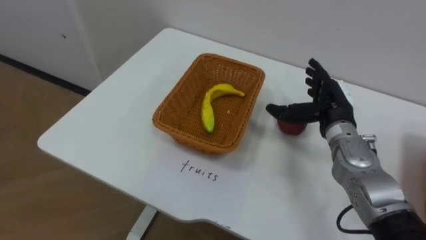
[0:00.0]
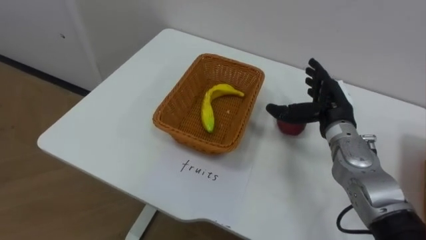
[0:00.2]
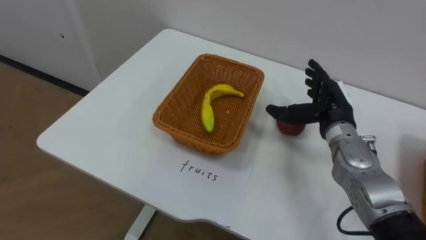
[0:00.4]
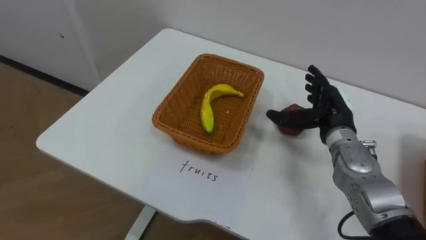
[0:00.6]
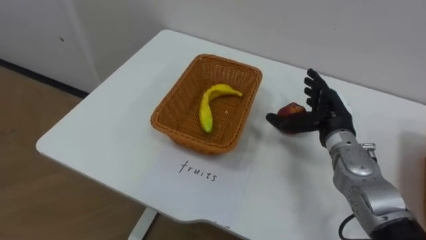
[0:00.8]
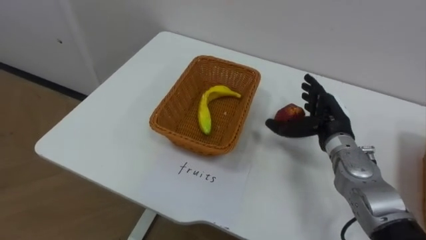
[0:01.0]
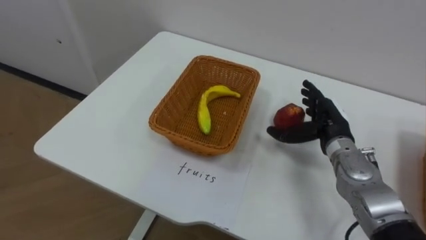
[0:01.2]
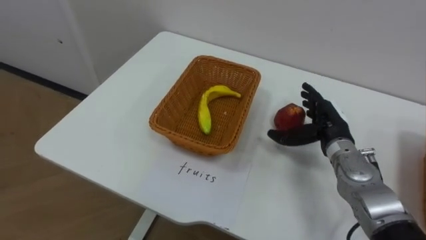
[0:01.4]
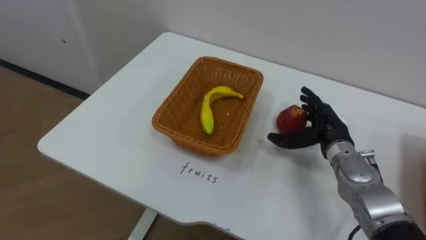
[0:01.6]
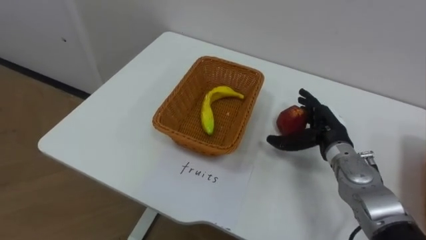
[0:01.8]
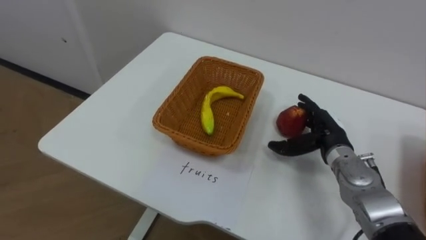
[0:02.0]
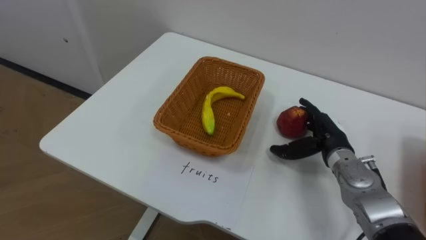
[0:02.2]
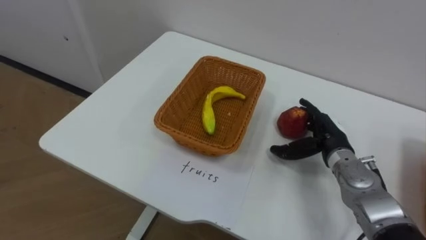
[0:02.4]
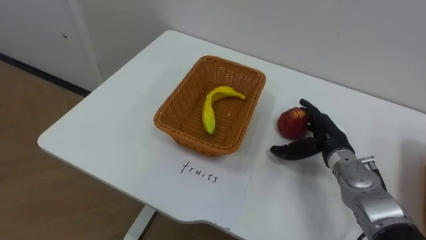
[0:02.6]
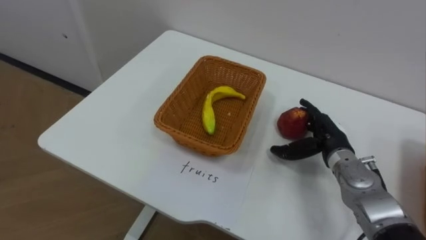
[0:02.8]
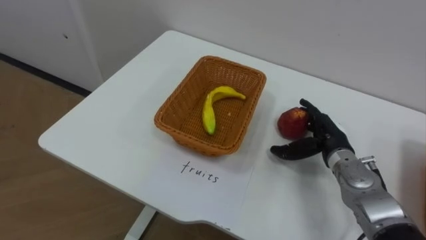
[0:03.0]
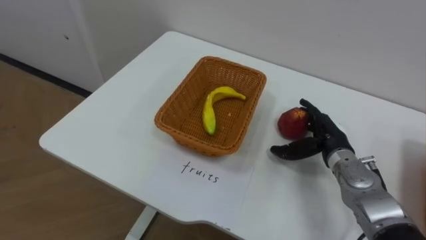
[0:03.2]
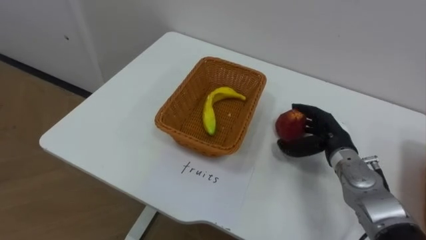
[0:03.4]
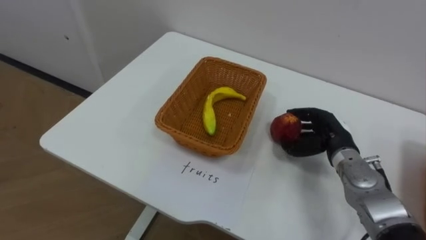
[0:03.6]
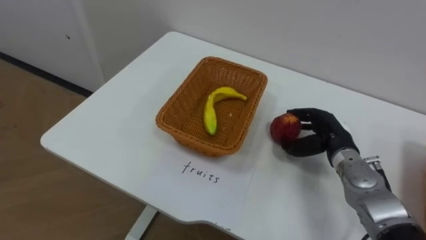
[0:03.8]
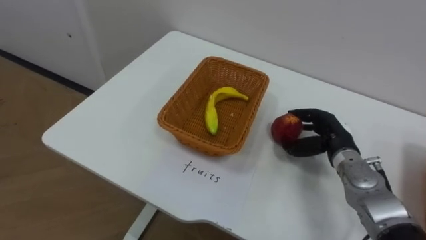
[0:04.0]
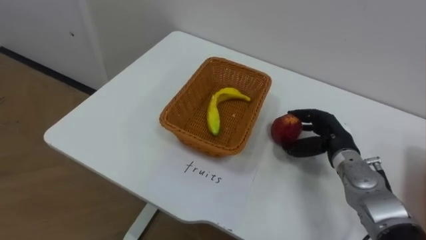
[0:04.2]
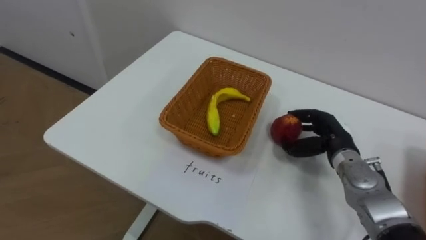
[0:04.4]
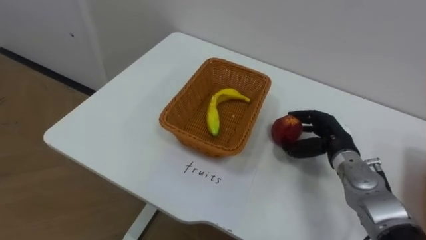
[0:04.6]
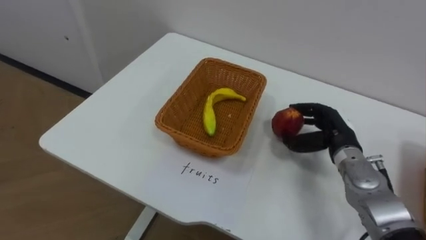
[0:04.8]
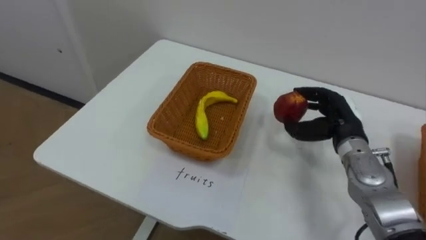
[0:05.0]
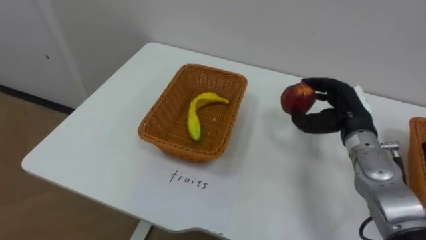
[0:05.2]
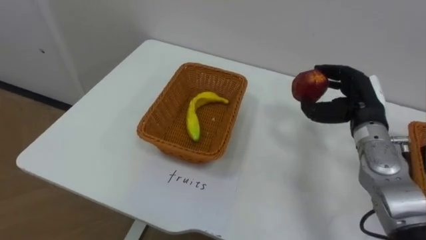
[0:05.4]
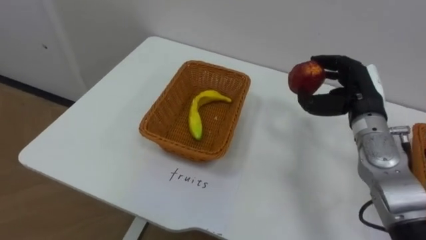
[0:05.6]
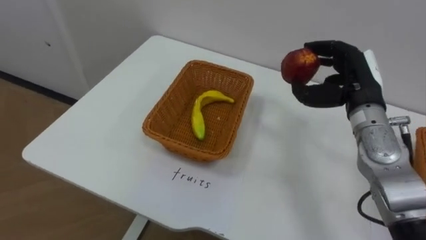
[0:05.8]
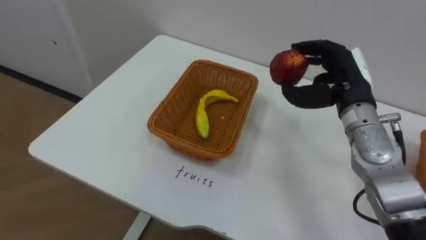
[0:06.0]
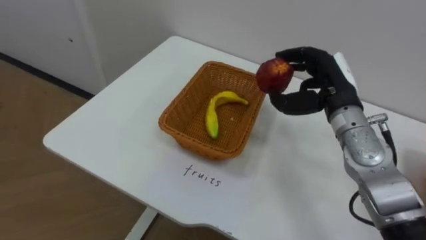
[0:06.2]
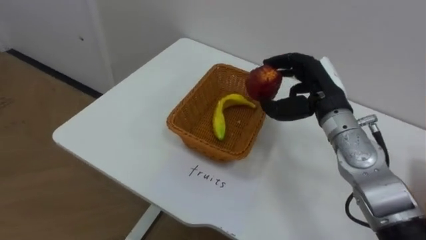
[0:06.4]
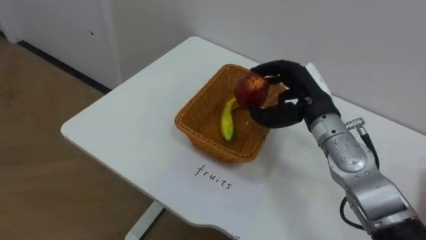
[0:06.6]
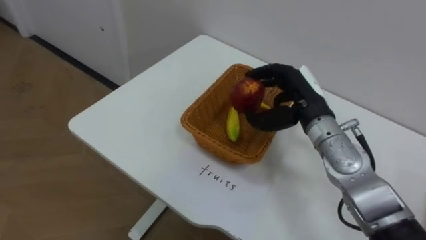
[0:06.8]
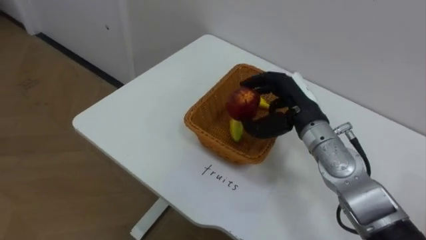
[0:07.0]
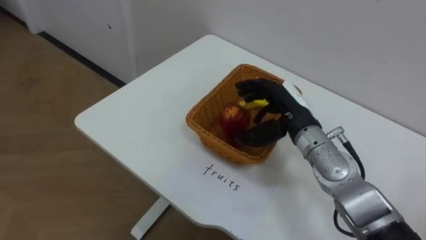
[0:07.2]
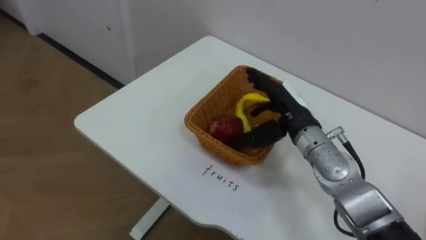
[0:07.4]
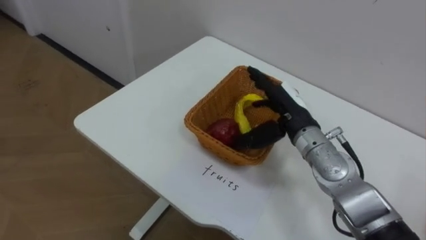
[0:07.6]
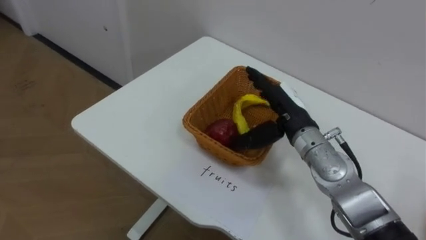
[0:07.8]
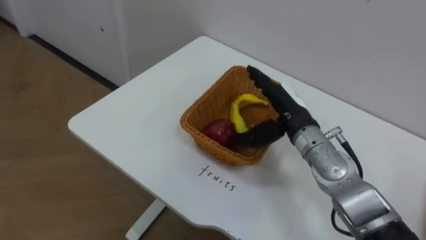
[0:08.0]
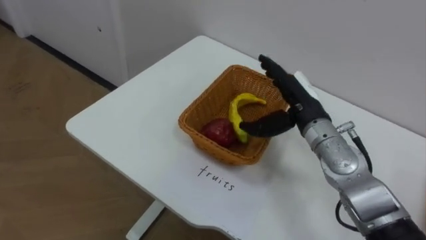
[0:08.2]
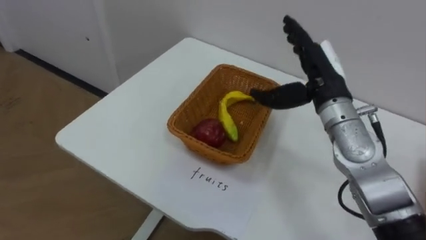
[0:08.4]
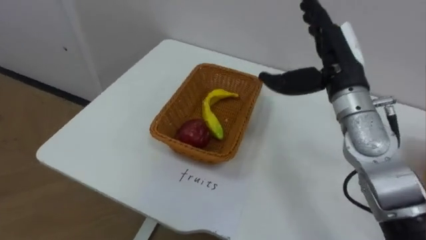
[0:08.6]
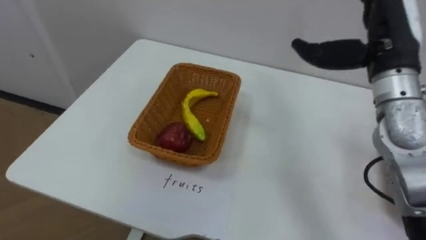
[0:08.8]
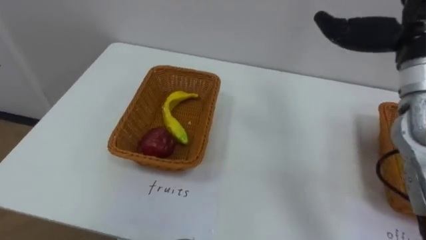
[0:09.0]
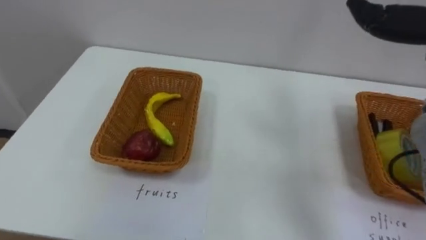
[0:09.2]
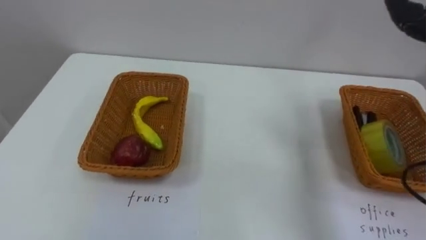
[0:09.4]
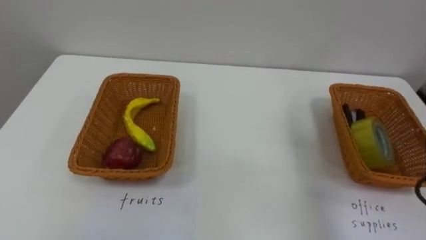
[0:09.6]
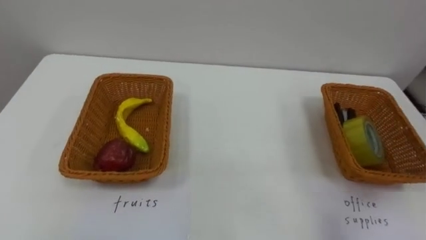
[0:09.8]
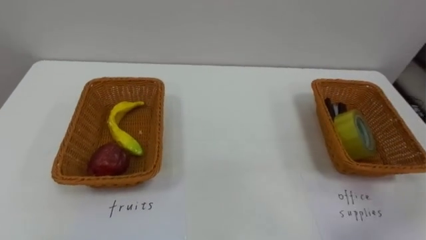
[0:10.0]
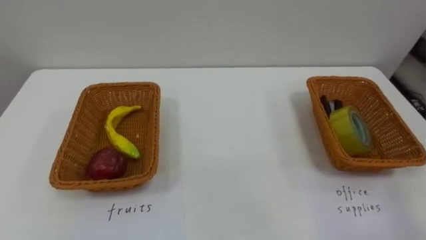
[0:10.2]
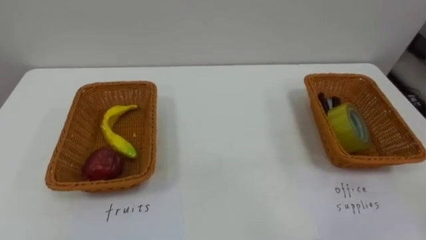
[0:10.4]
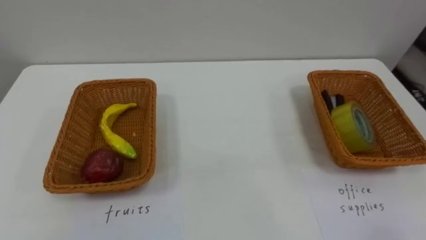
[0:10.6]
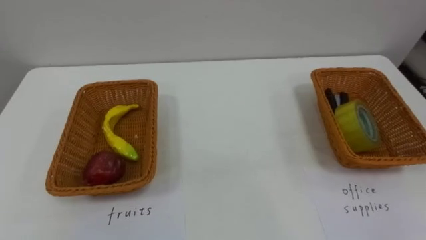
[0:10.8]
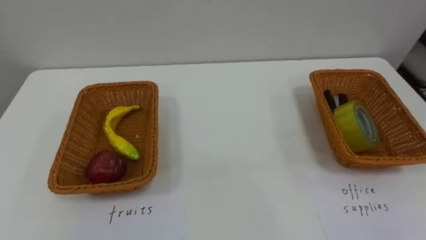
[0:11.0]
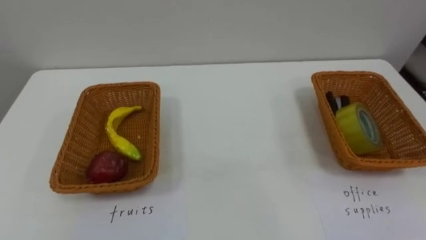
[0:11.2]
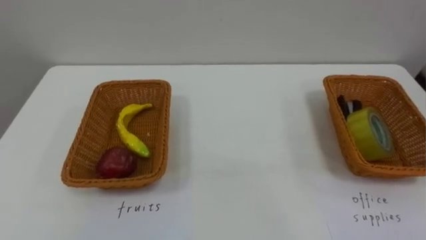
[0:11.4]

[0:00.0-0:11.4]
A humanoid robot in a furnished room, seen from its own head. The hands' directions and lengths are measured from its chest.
Task of the whole recording: Separate the items on the table and place them into the two baskets.
0:02.8 to 0:04.2: The right hand closes its fingers.
0:04.2 to 0:05.6: The right hand is displaced upward by approximately 10 cm.
0:05.6 to 0:07.2: The right hand is displaced to the left by approximately 10 cm.
0:07.2 to 0:08.6: The right hand is displaced upward by some 10 cm, and opens its fingers.

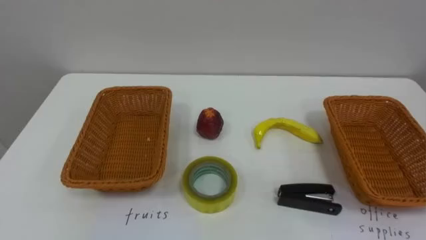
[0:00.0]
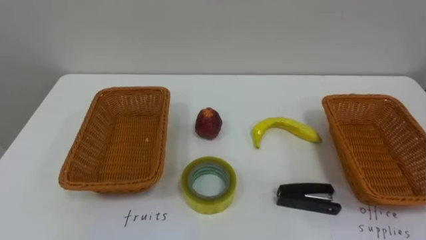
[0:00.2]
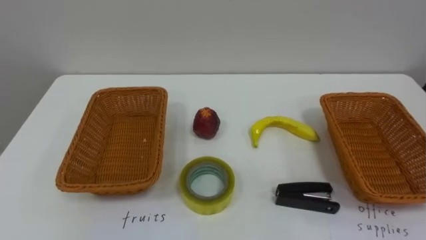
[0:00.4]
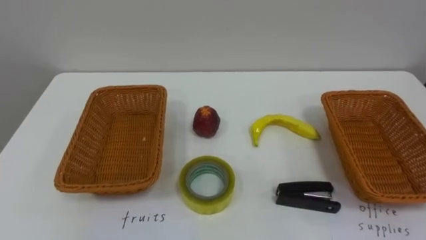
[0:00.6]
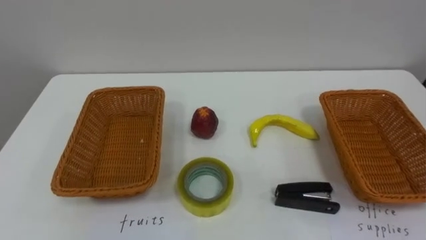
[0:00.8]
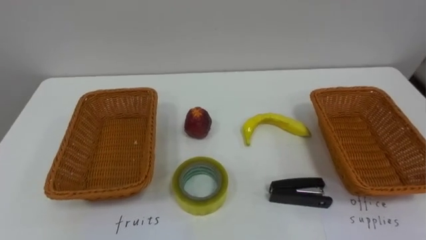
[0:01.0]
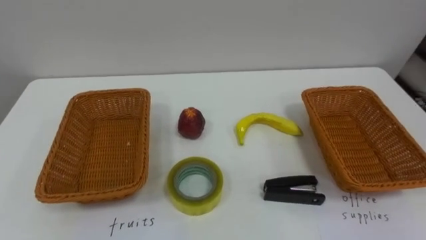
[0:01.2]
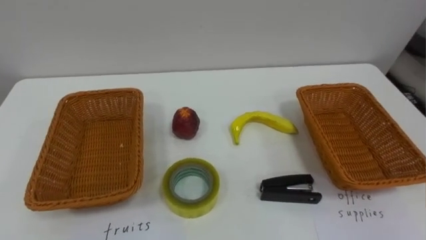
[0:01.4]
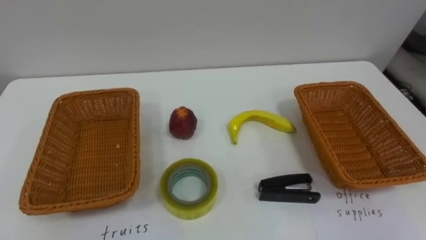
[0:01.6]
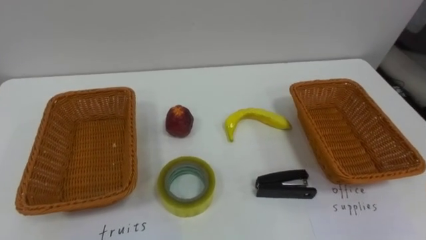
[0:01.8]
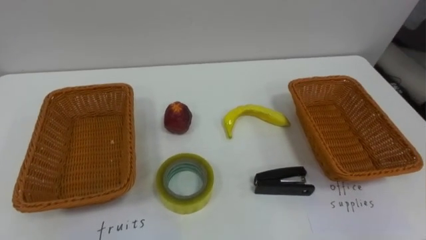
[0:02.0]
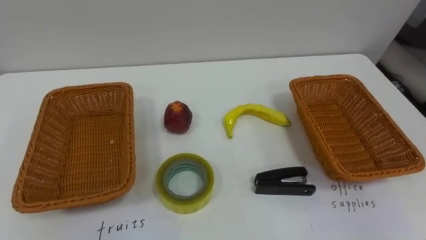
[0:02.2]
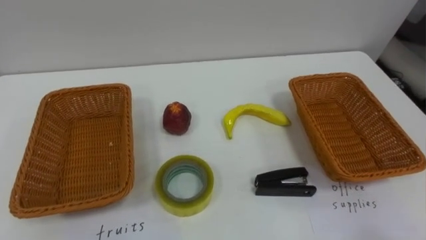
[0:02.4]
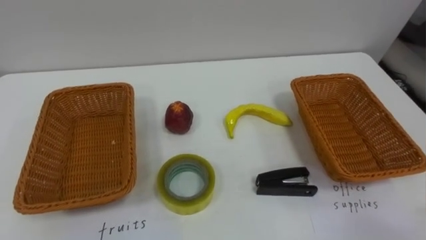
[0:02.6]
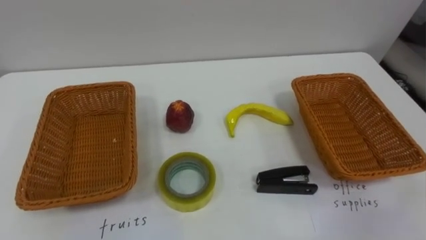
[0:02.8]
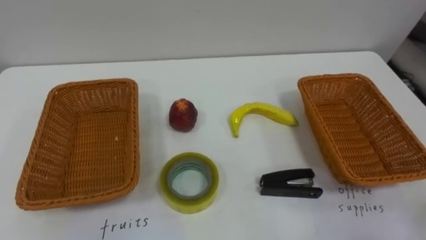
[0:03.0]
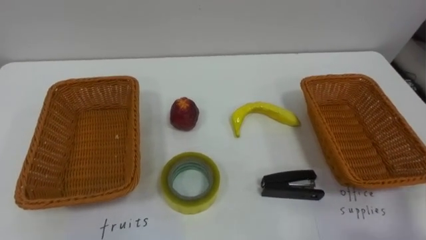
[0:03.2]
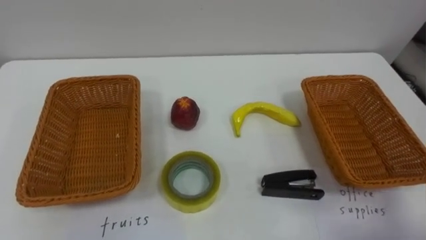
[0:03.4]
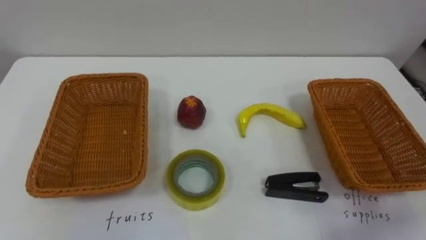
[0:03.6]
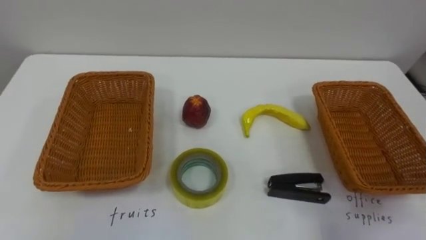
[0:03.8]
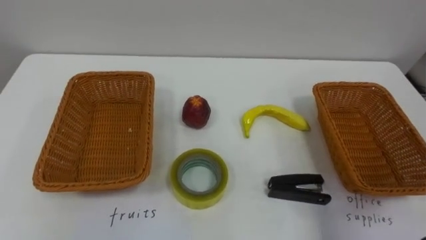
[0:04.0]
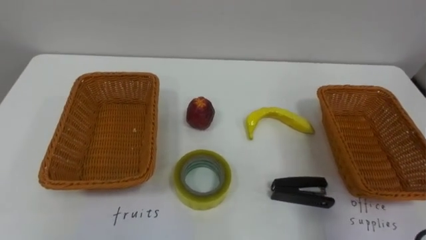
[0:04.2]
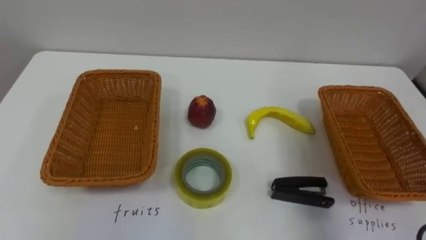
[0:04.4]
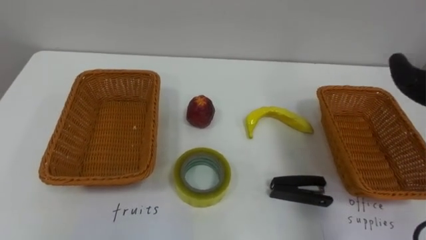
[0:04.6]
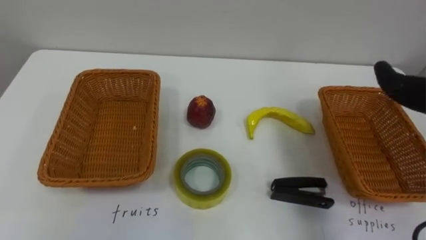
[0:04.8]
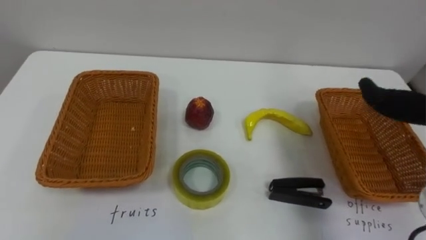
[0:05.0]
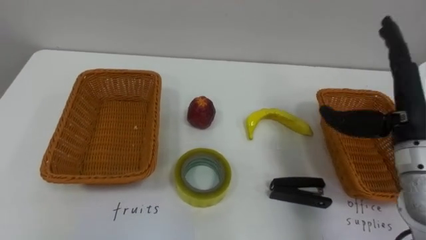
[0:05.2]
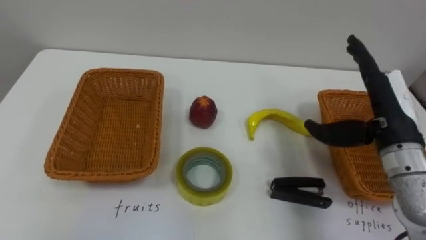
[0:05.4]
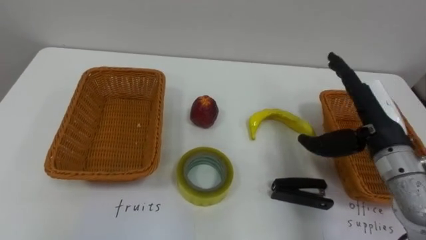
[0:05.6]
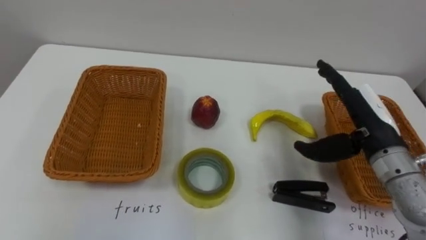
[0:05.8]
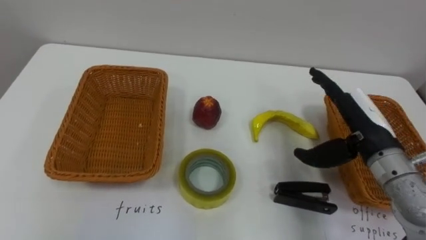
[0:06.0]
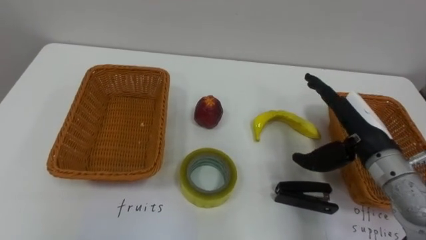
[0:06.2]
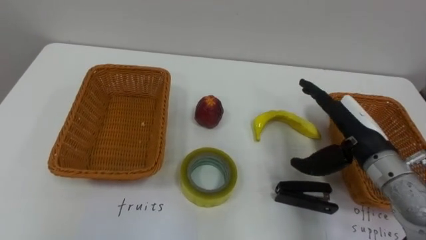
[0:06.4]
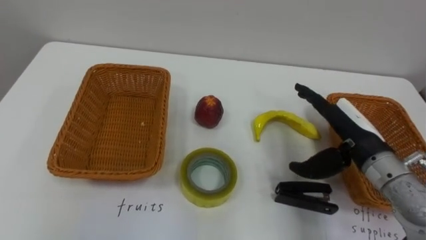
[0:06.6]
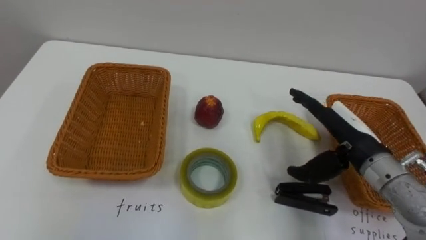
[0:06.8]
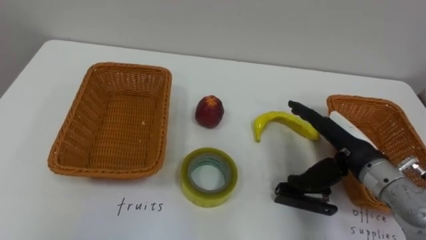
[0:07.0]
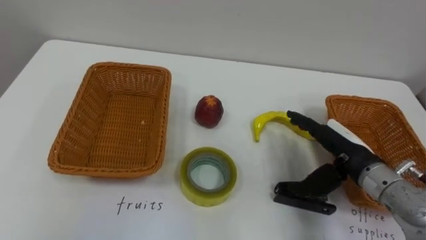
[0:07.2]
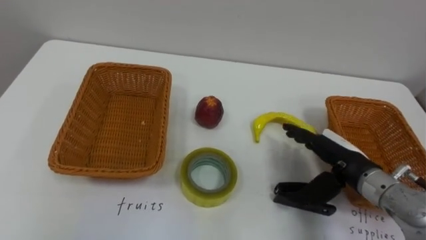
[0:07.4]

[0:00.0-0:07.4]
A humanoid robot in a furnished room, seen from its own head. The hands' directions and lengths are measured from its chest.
Task of the whole recording: Separate the items on the table and place them into the two baskets.
0:06.0 to 0:07.4: The right hand moves downward, roughly 5 cm.
